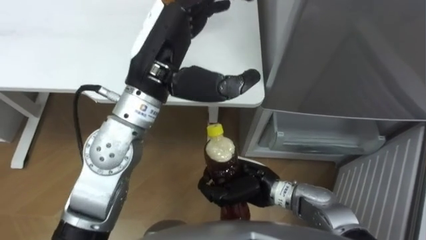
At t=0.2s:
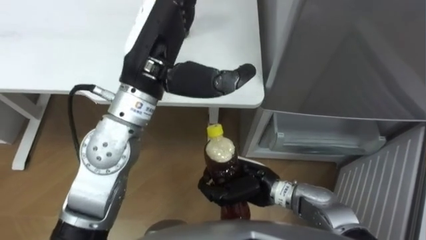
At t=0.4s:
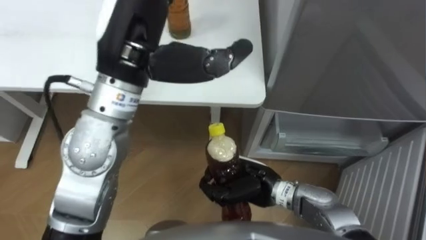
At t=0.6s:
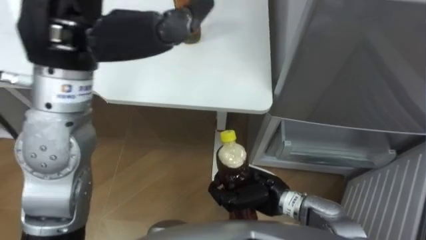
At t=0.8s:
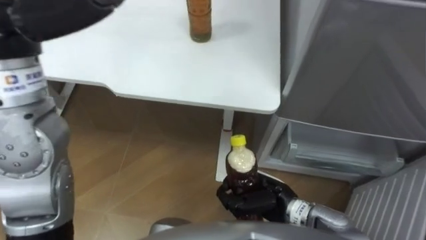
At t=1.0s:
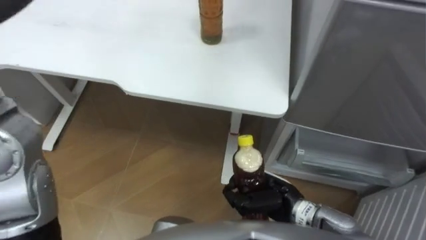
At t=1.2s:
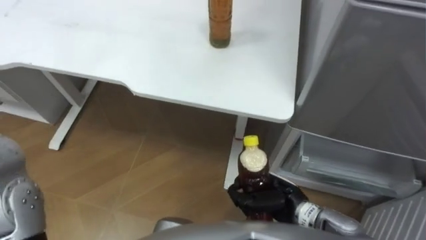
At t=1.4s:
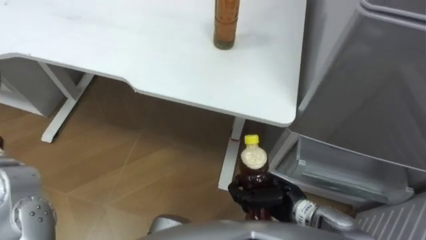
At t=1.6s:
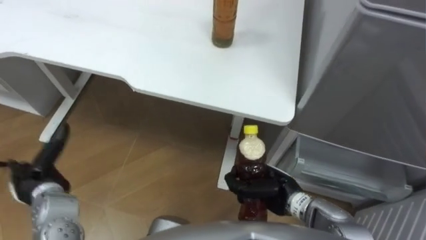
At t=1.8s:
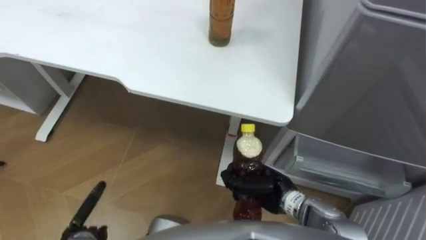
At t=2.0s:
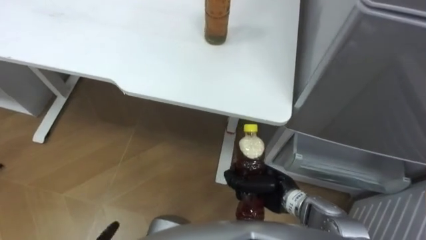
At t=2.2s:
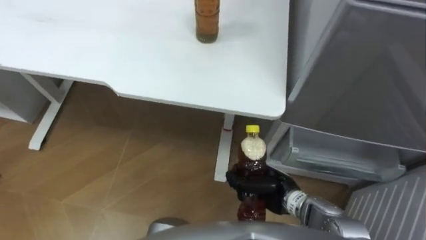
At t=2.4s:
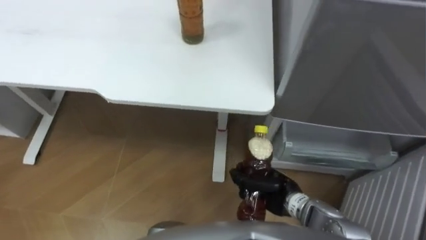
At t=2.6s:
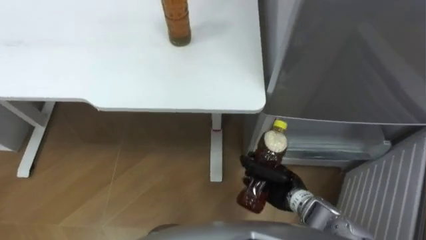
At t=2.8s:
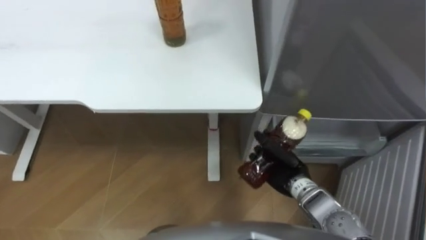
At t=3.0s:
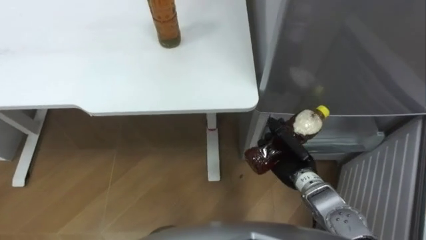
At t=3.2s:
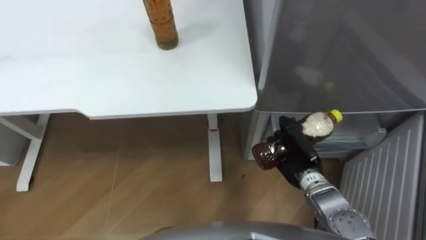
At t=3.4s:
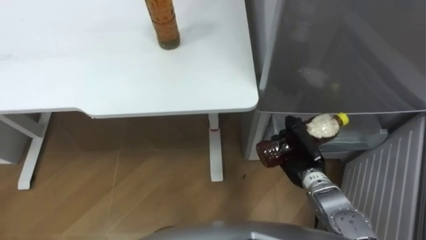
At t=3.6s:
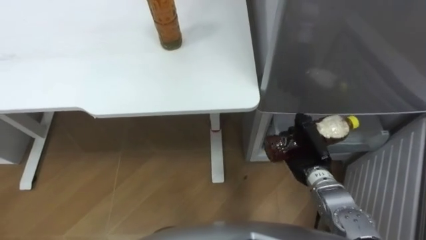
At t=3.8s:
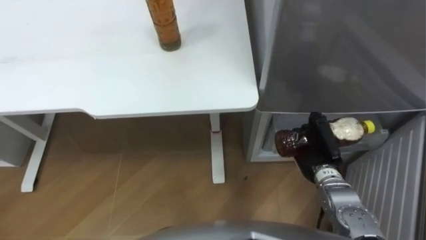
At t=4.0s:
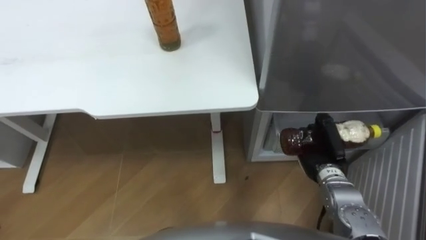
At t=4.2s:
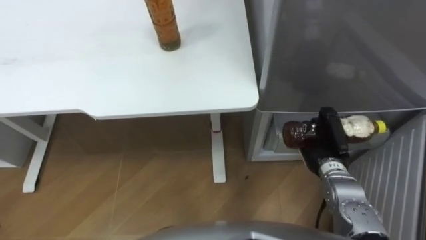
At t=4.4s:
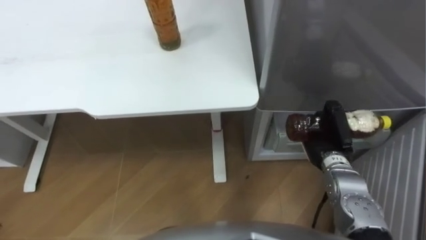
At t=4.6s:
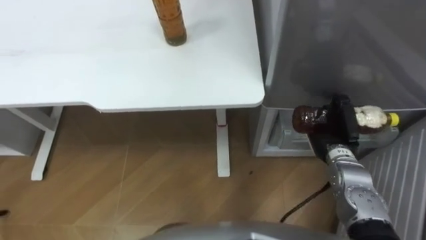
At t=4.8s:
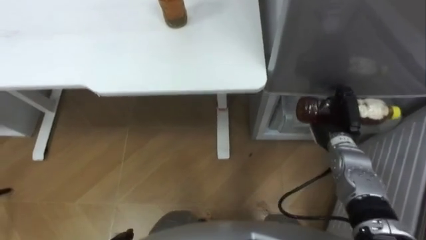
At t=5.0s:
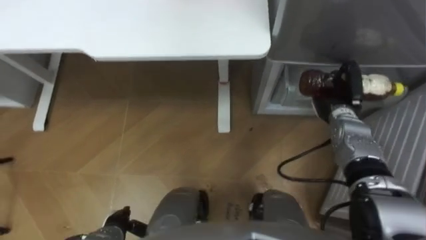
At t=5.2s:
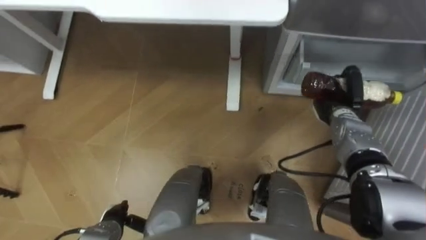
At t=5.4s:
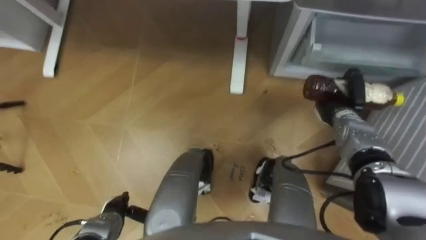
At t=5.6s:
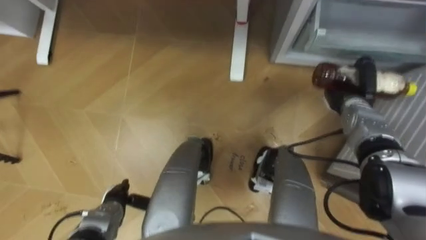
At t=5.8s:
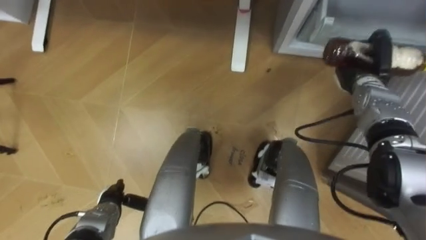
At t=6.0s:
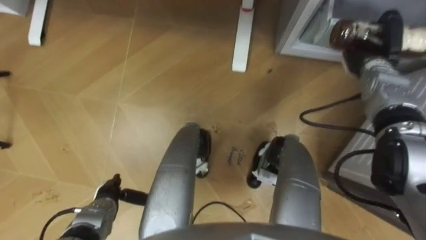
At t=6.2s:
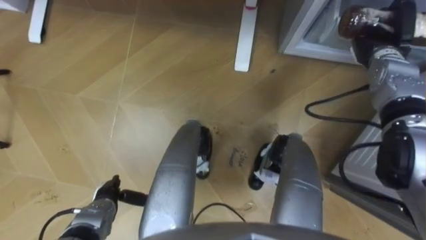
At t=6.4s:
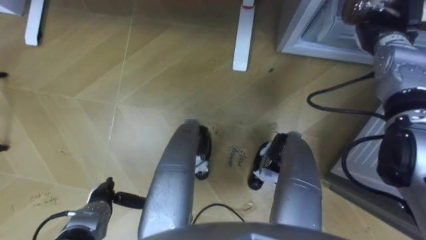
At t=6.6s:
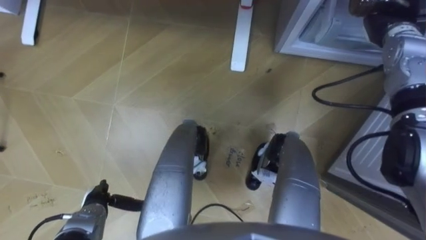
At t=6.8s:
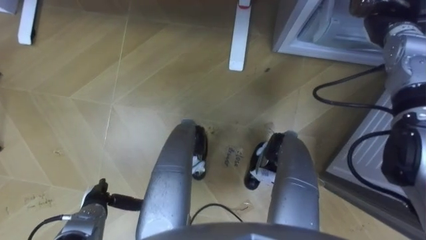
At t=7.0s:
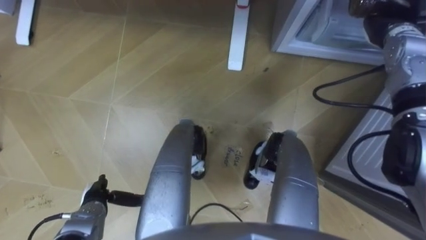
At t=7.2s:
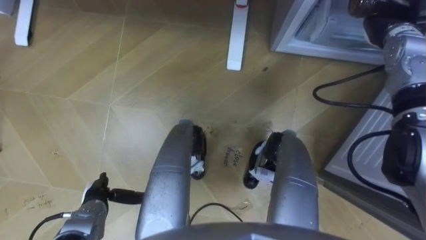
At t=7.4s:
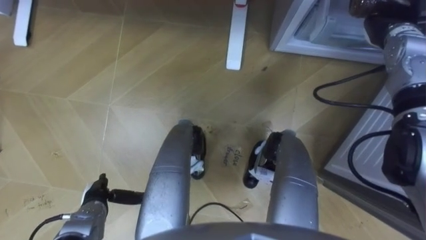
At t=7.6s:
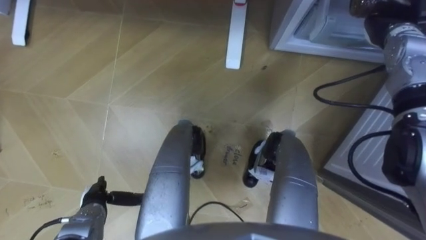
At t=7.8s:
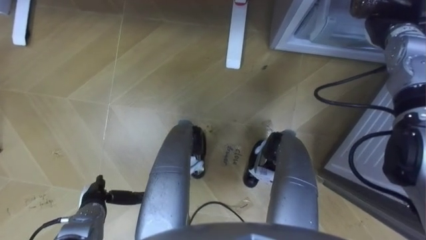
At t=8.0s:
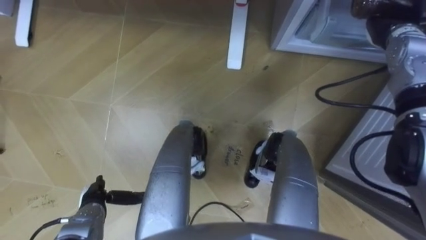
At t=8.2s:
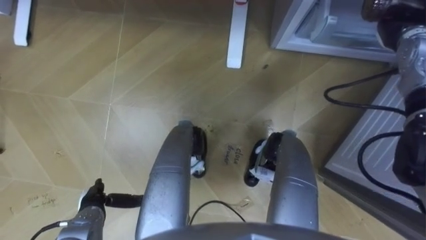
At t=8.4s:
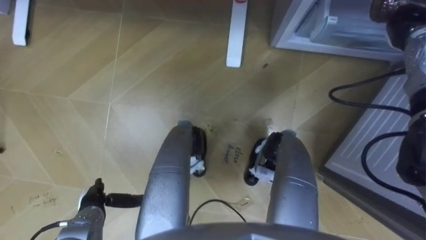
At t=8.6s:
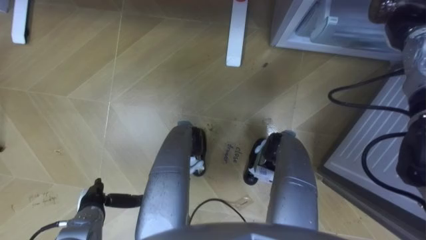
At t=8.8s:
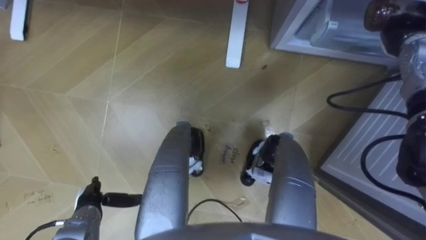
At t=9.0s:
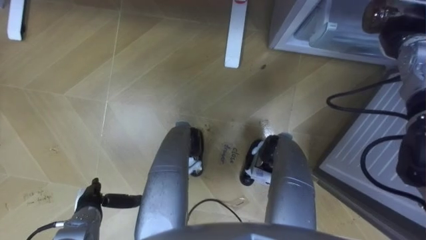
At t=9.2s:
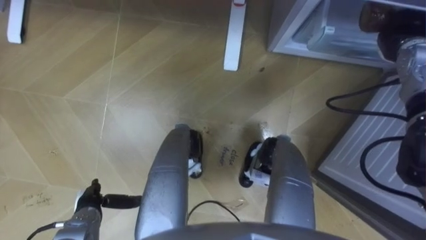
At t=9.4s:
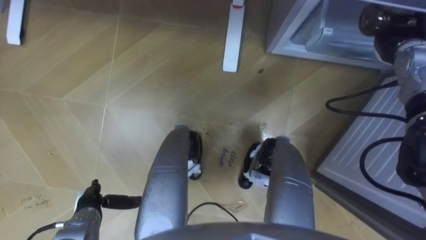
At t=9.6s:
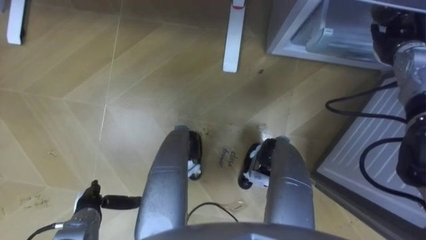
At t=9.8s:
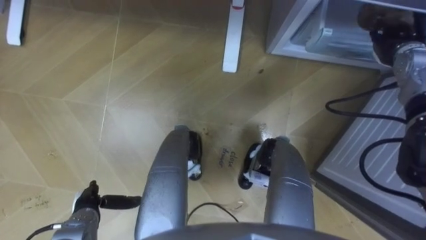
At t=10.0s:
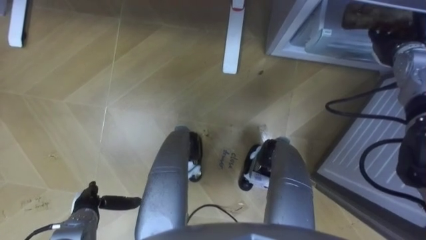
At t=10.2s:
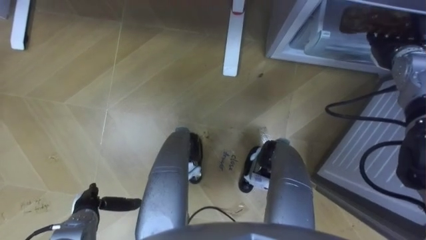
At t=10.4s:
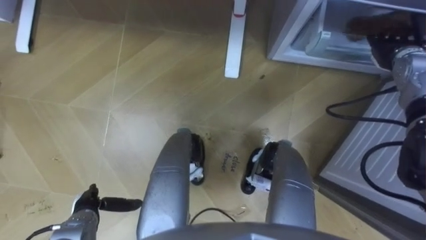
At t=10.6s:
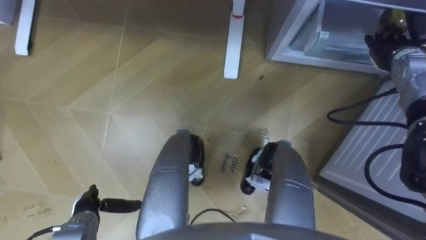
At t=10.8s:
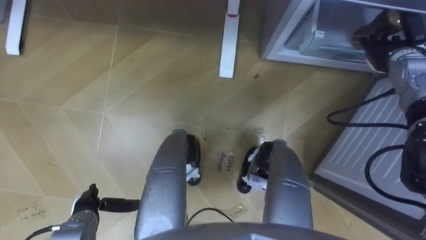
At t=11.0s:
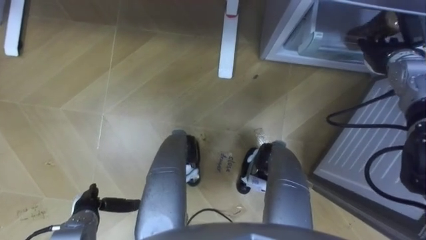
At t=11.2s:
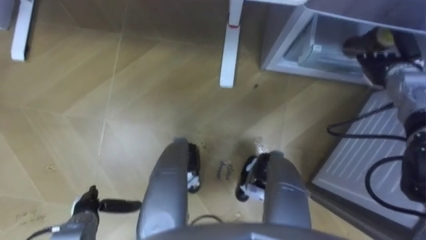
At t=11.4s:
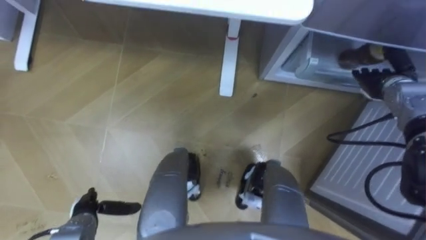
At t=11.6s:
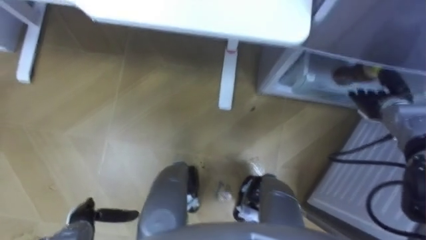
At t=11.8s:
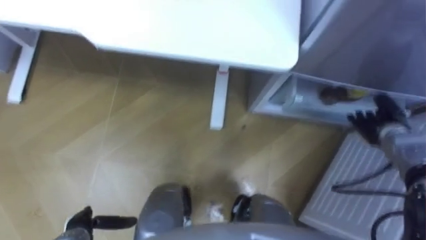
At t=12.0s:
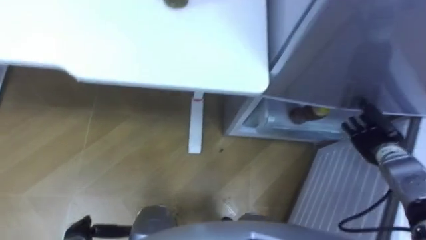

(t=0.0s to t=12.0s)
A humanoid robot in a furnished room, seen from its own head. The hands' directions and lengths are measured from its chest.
Task of the whole recording: Place the drink on the table on the bottom shelf of the refrigerator, then close the drawer and the refrigerator door.
t=0.0s - t=1.6s: The right hand shifts roughly 5 cm to the right.
t=1.6s - t=3.0s: The right hand heads forward, covering about 5 cm.
t=3.0s - t=4.4s: The right hand travels to the right by roughly 5 cm.
t=4.4s - t=6.0s: The right hand heads forward, upward and to the right, covering some 20 cm.
t=6.0s - t=7.6s: The right hand is displaced upward by about 5 cm.
t=9.0s - t=10.4s: The right hand opens.
t=10.4s - t=12.0s: The right hand moves backward and downward, roughly 20 cm.

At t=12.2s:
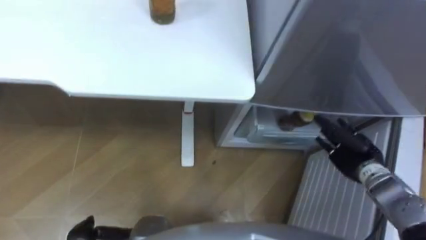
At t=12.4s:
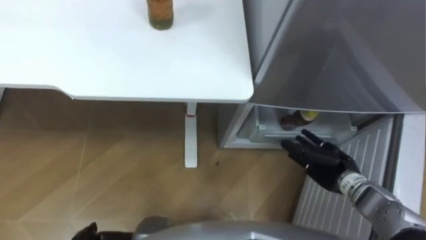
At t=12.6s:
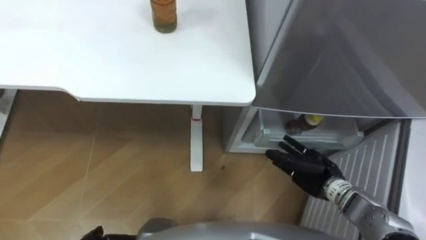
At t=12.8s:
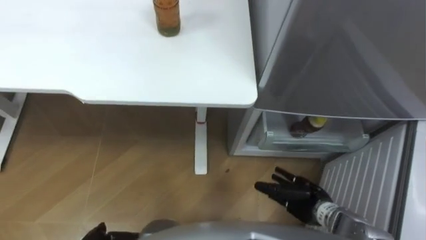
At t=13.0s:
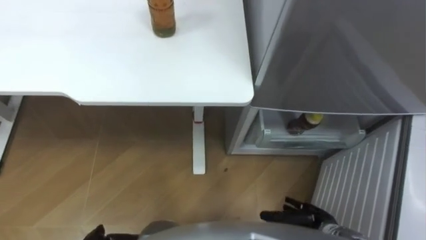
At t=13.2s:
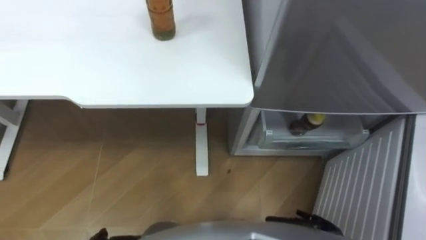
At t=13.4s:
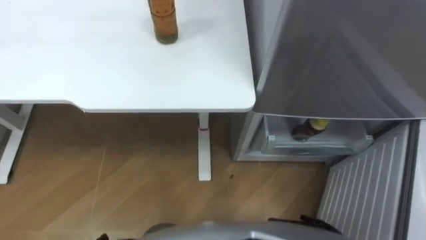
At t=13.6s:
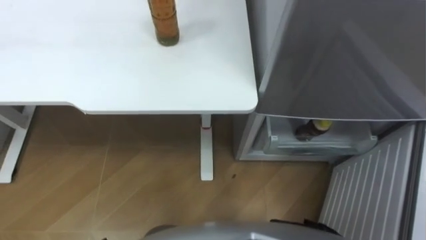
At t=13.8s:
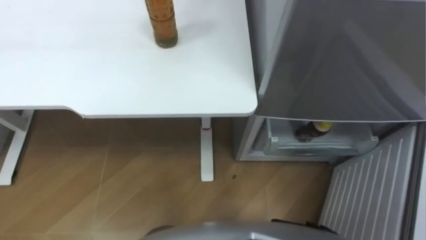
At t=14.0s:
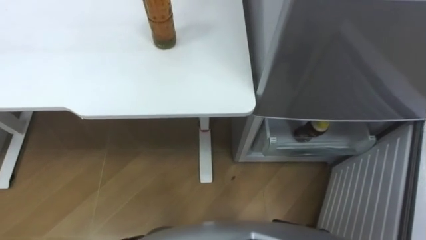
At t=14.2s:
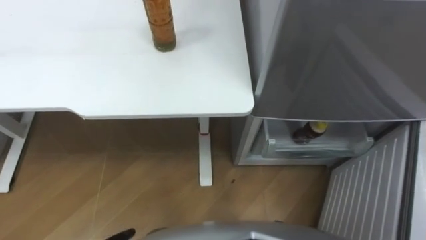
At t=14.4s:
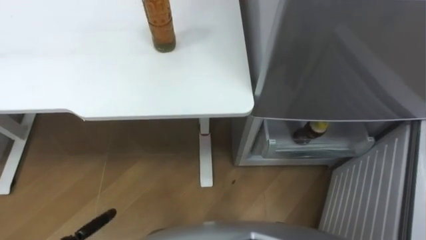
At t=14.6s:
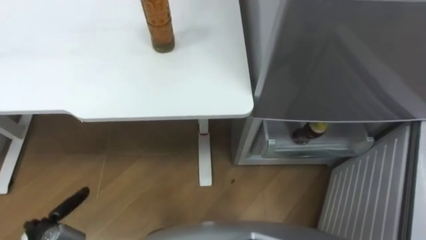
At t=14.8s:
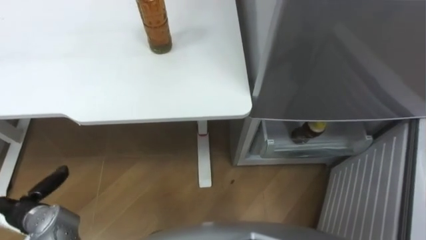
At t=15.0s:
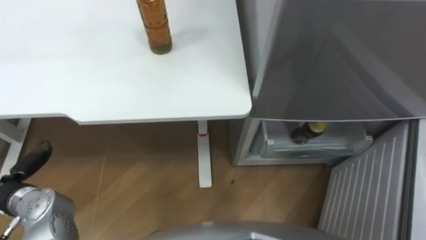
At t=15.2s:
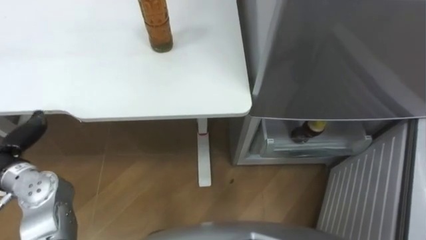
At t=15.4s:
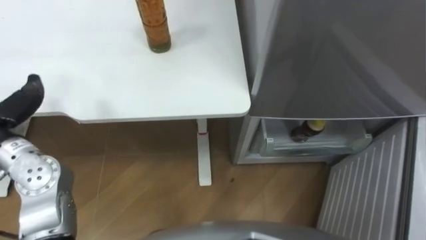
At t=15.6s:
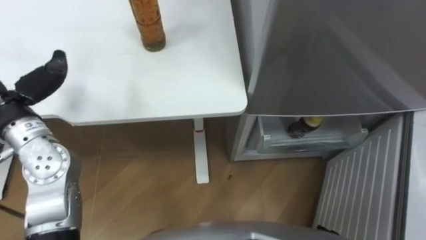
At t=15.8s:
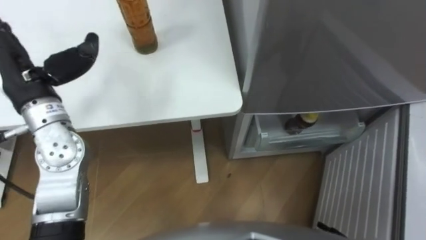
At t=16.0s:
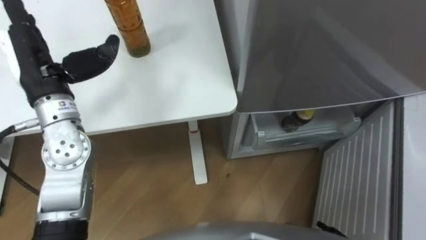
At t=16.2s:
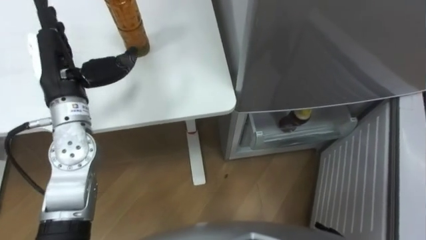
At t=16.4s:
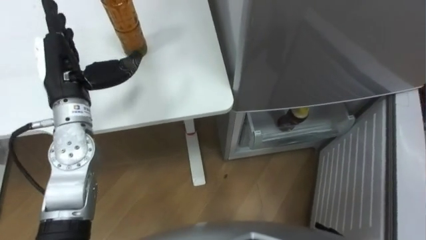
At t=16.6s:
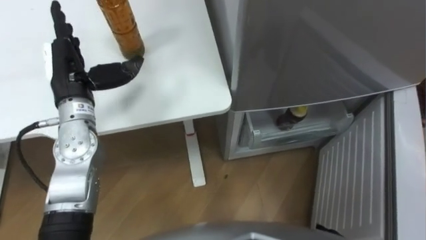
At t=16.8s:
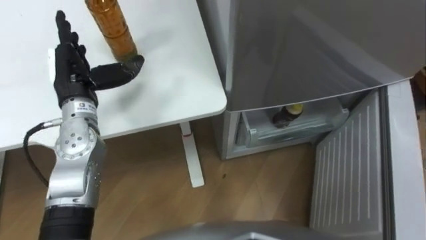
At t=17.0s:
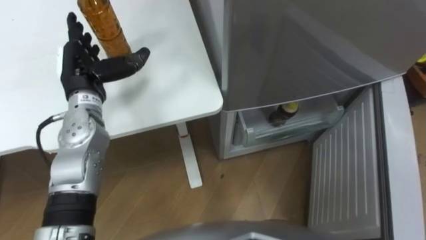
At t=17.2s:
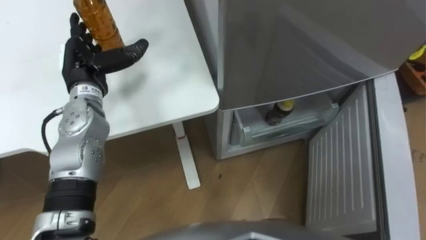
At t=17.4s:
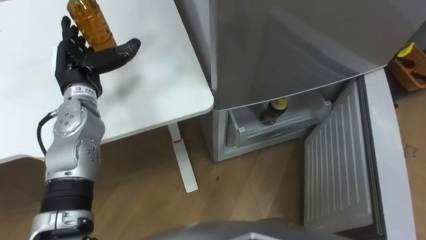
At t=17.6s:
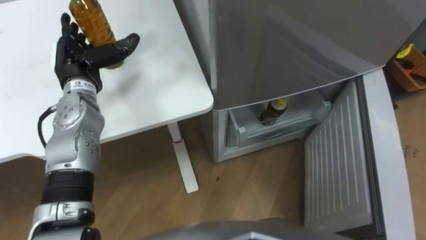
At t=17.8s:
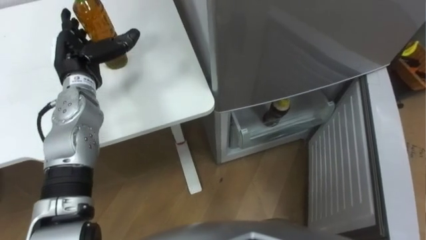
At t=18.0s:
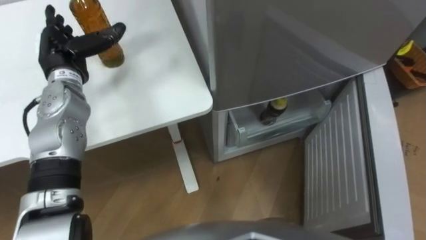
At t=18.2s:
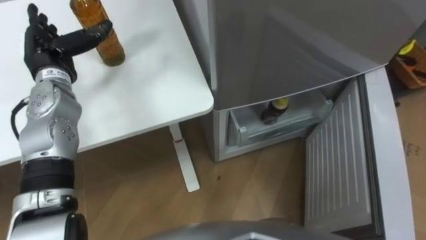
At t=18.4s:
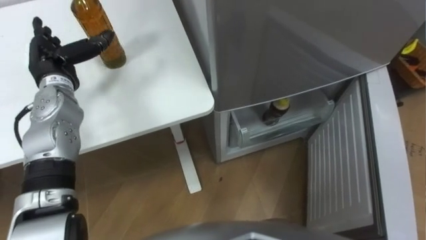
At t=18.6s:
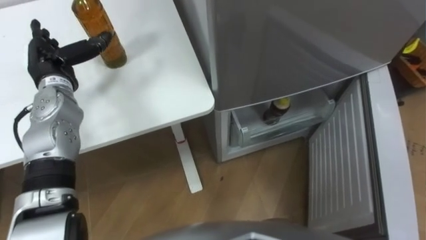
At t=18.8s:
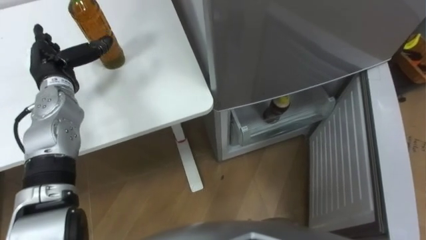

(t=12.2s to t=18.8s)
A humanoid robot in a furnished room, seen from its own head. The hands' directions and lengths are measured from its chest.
Task of the whole recording: Place the drink on the table on the bottom shelf of the refrigerator, then close the drawer and the refrigerator door.
t=17.2s - t=18.8s: The left hand moves to the left, about 5 cm.
